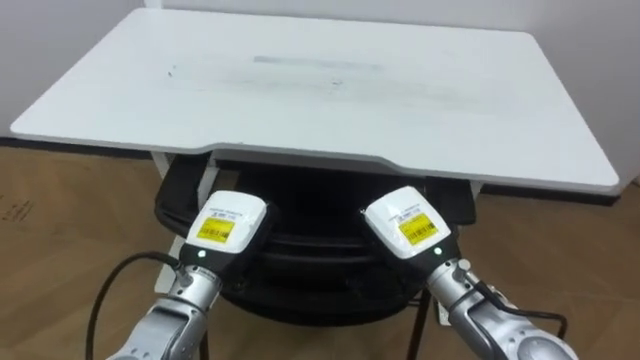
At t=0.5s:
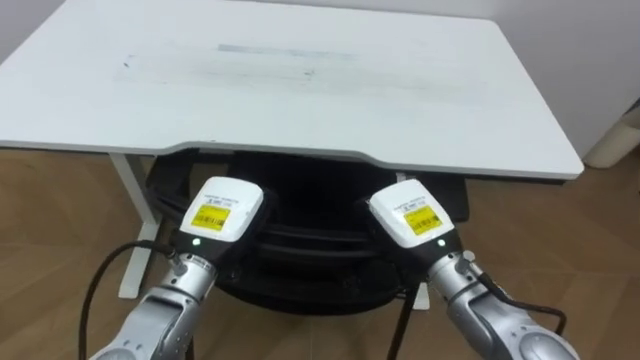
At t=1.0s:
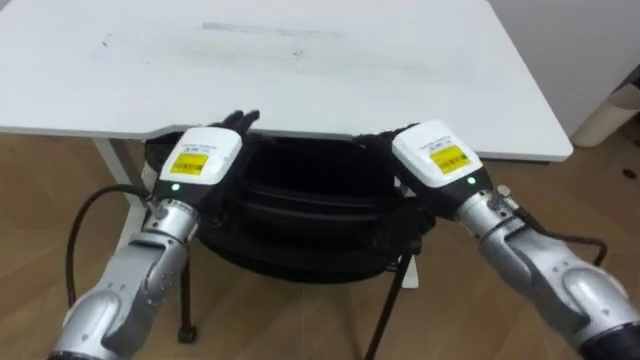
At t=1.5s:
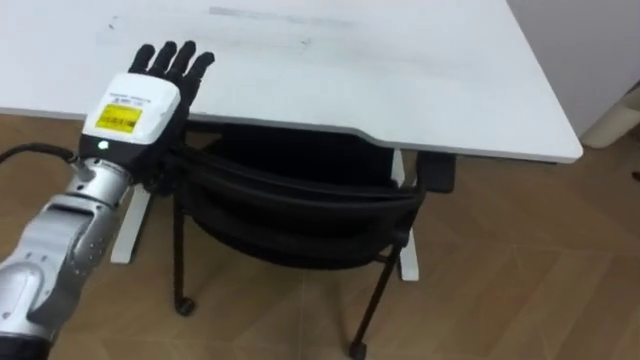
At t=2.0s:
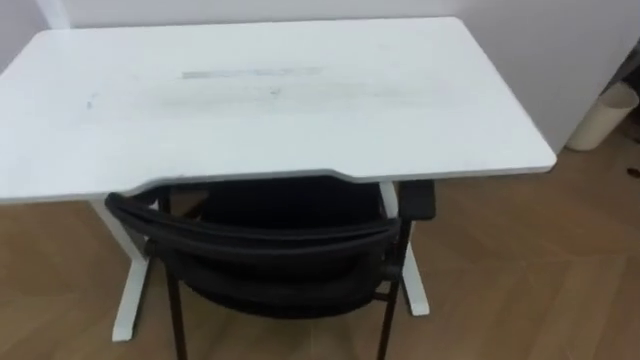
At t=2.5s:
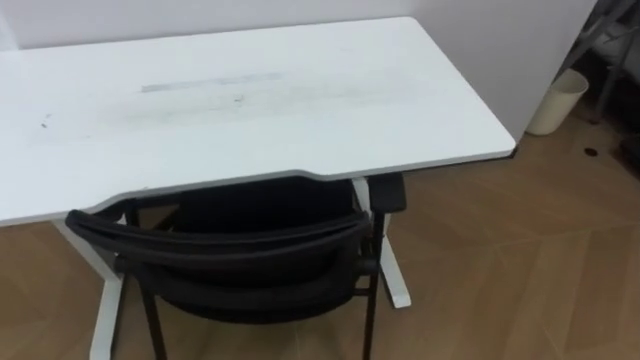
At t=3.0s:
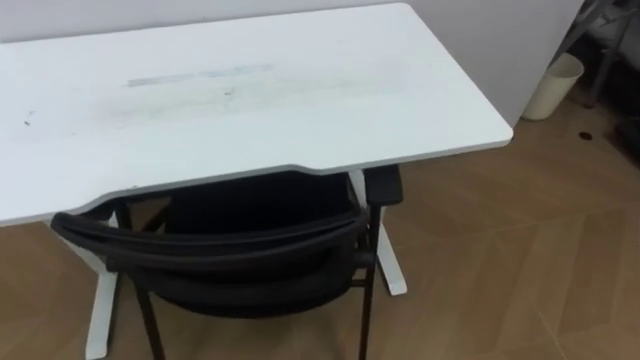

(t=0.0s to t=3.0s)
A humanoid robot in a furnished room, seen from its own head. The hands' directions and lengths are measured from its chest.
Task of the whole recording: Push the chair under the table.
t=0.0s - t=1.5s: The left hand travels upward, to the left and forward by some 15 cm, and opens.
